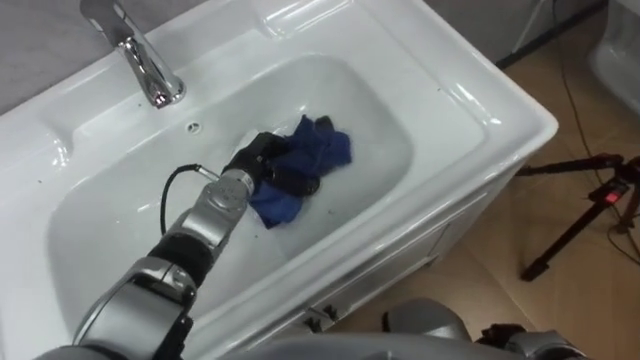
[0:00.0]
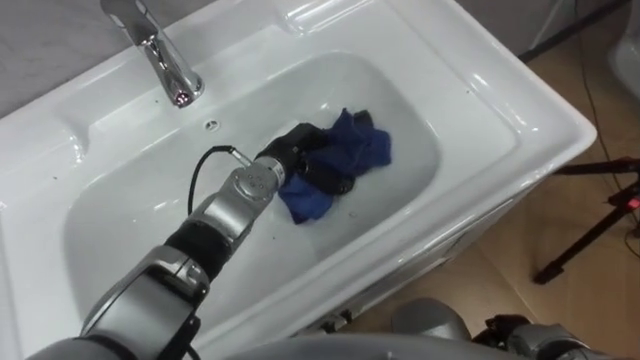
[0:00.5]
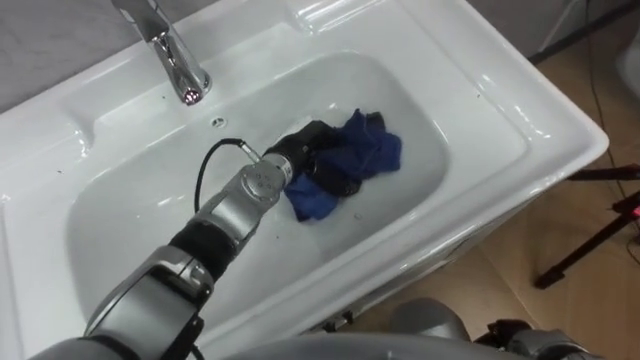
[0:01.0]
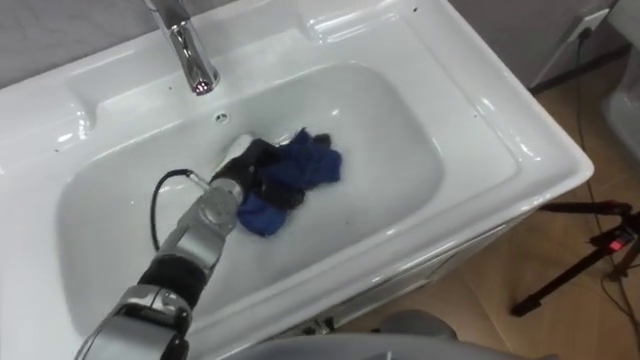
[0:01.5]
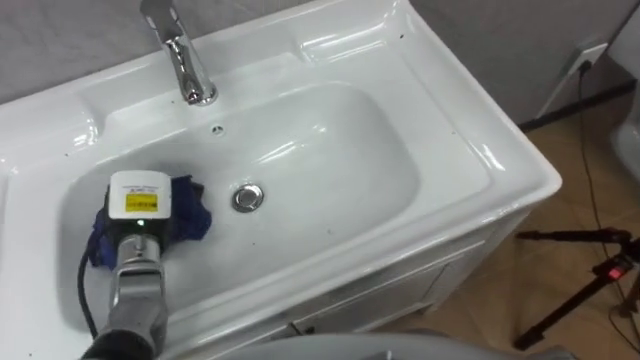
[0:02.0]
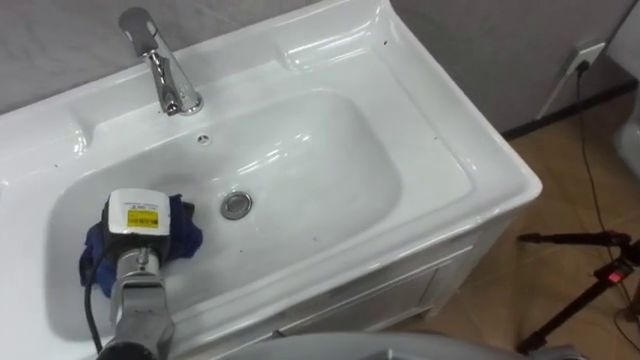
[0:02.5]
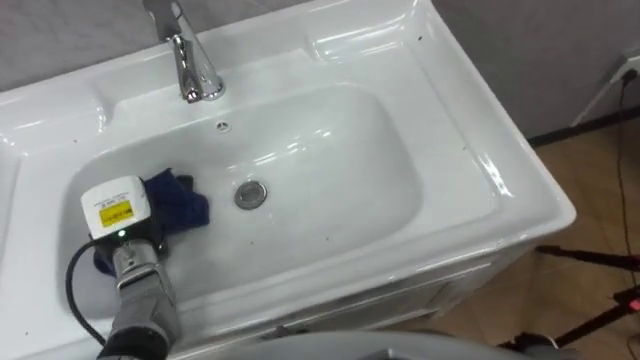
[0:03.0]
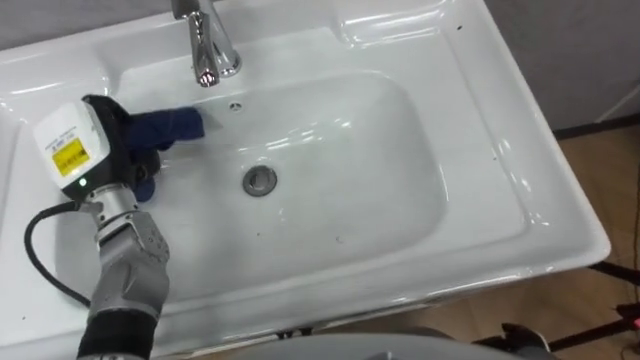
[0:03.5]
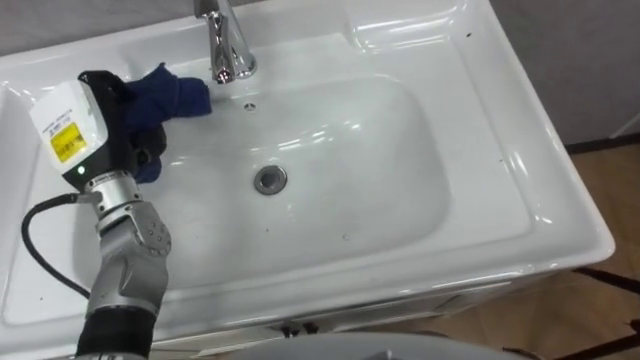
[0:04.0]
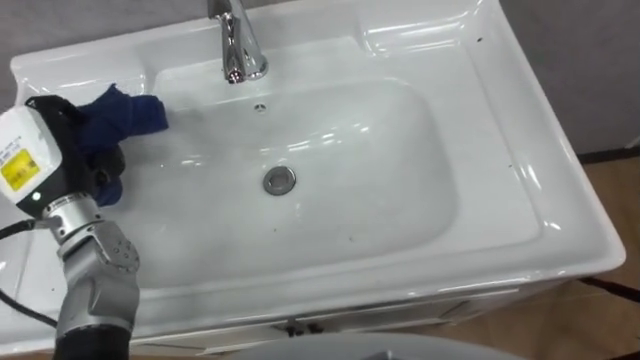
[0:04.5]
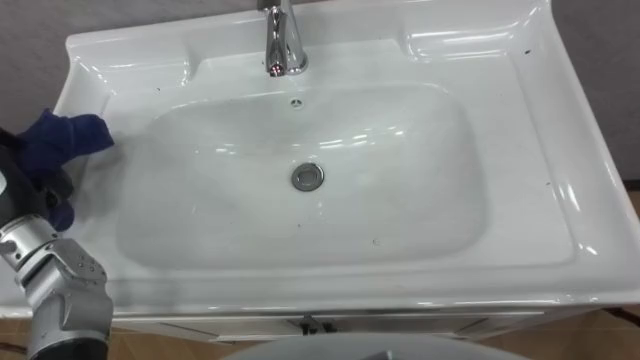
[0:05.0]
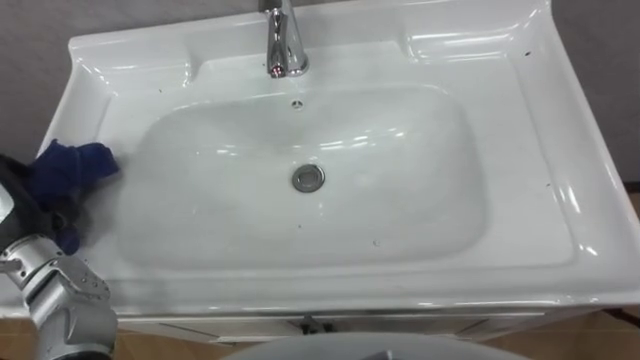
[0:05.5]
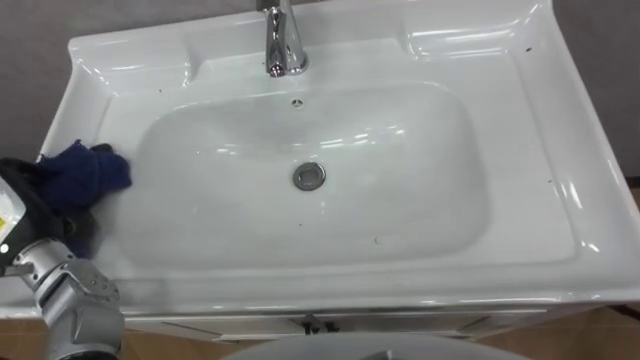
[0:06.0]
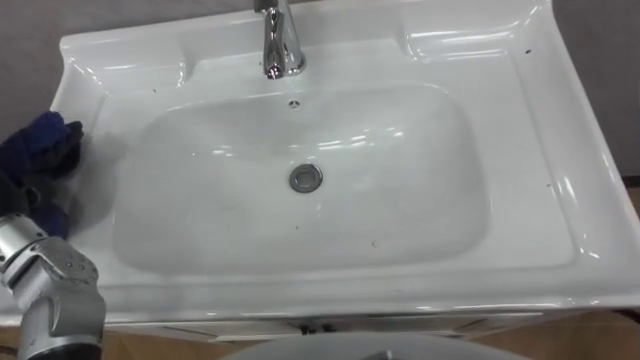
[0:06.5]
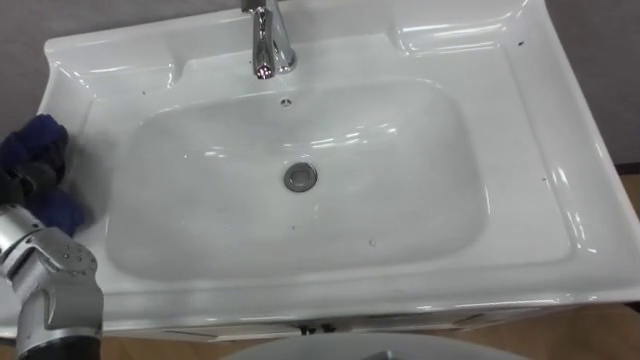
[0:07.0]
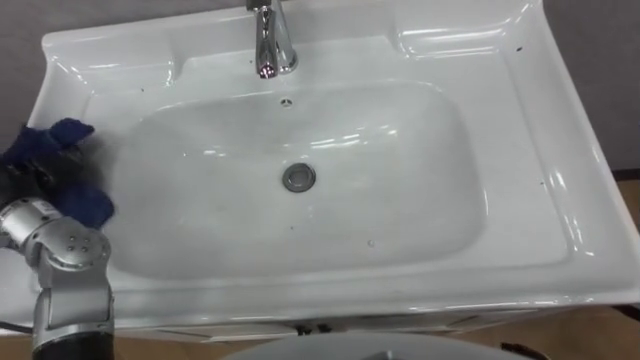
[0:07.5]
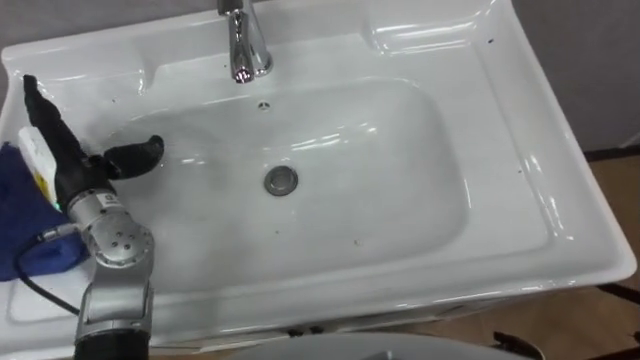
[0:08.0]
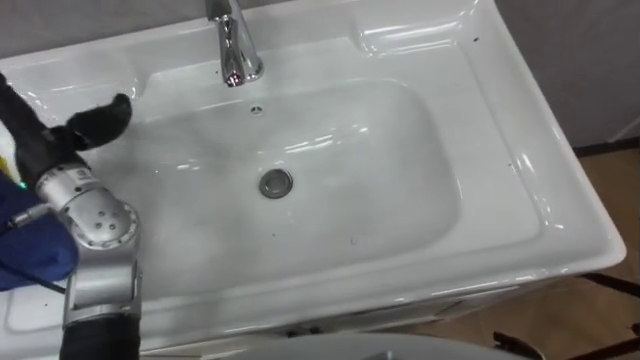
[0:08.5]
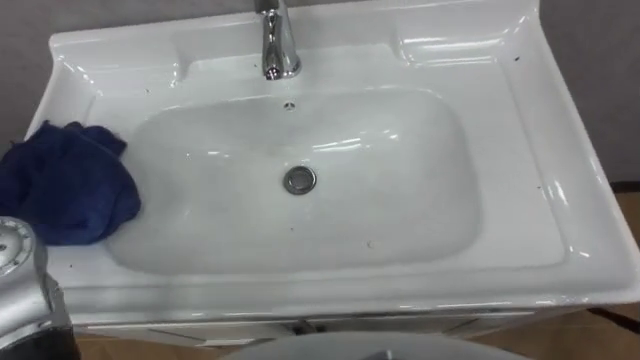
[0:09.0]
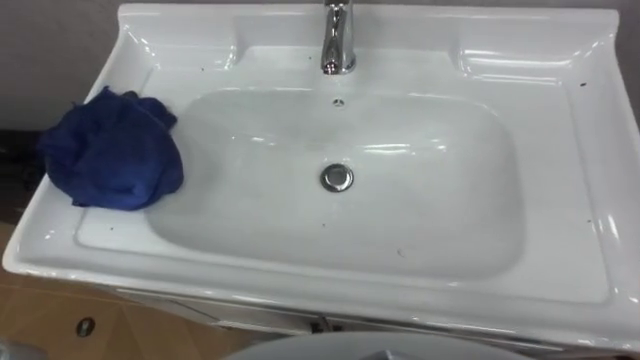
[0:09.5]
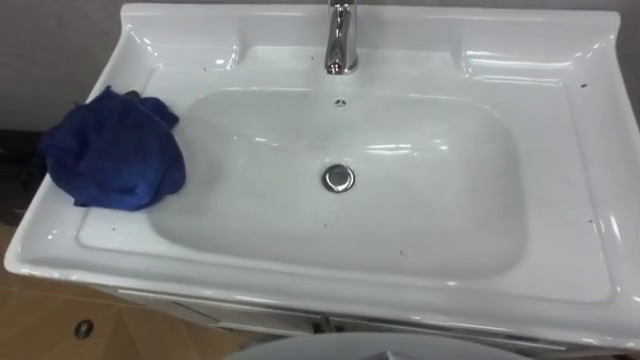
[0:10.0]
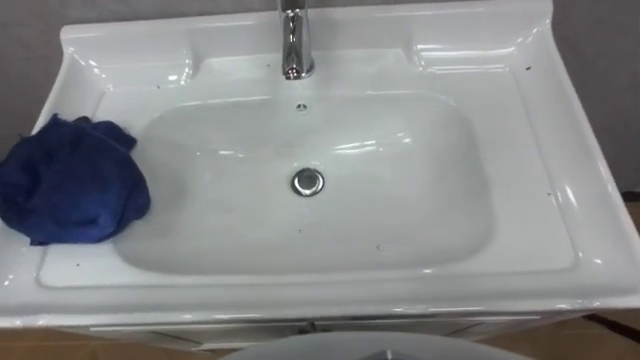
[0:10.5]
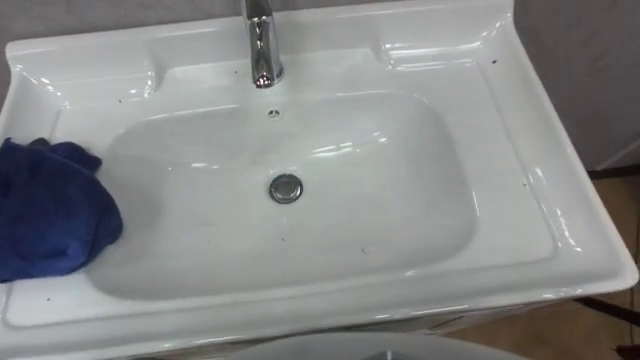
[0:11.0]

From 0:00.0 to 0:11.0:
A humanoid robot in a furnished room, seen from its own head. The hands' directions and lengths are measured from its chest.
Task of the whole recording: Use the cloth on the right to wipe away the black stain in the sink.
From 0:00.0 to 0:02.0: The left hand travels to the left and backward by some 20 cm.
From 0:02.0 to 0:03.5: The left hand shifts some 10 cm upward.

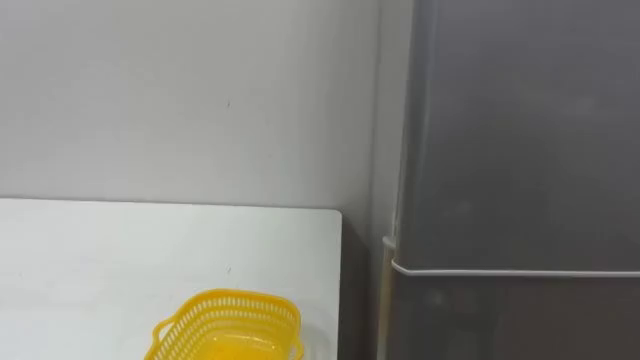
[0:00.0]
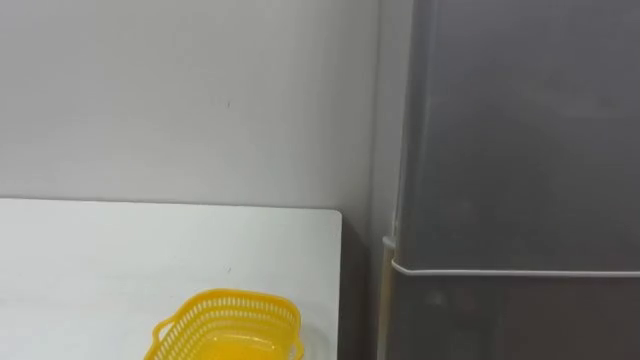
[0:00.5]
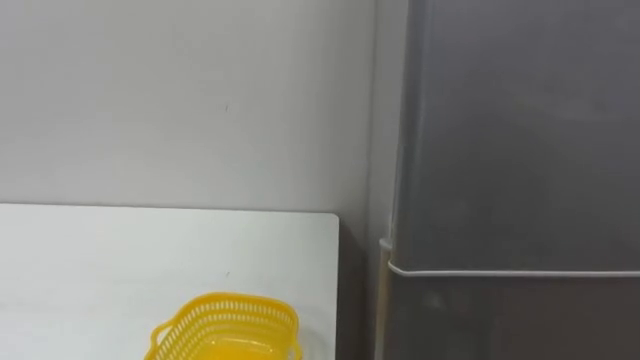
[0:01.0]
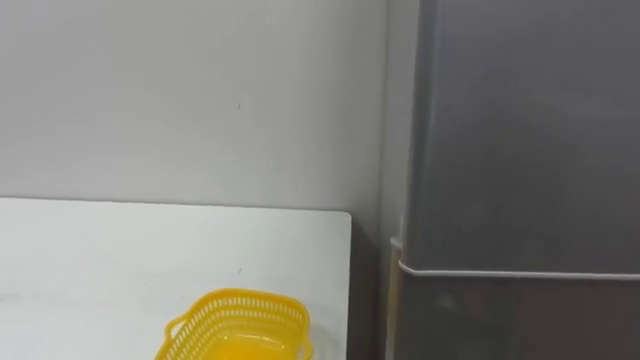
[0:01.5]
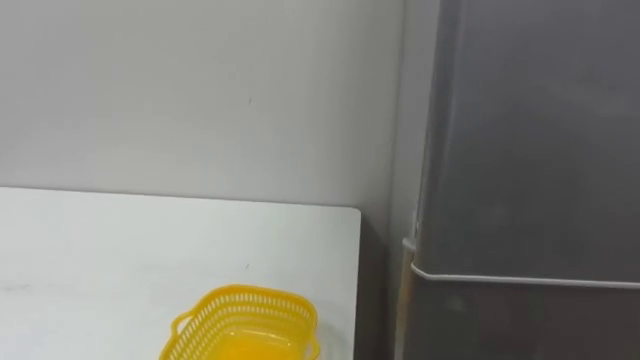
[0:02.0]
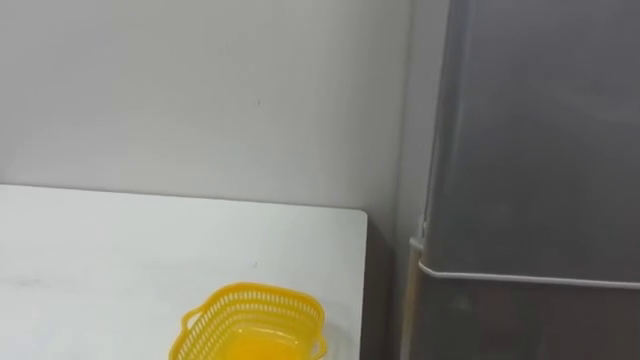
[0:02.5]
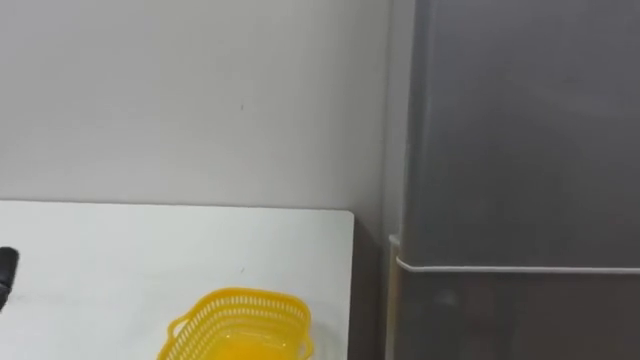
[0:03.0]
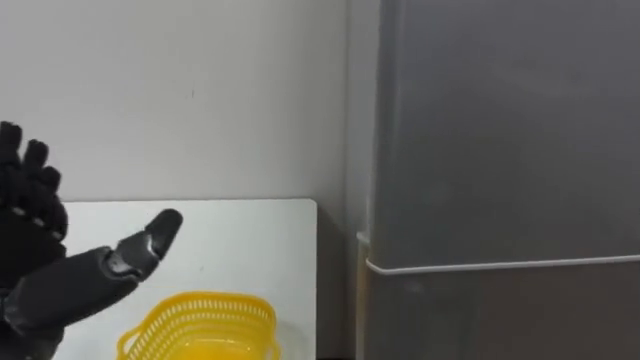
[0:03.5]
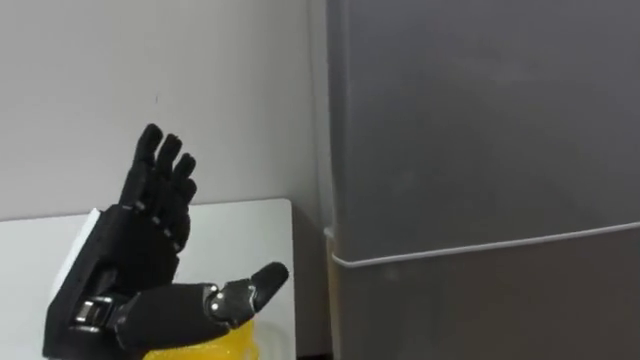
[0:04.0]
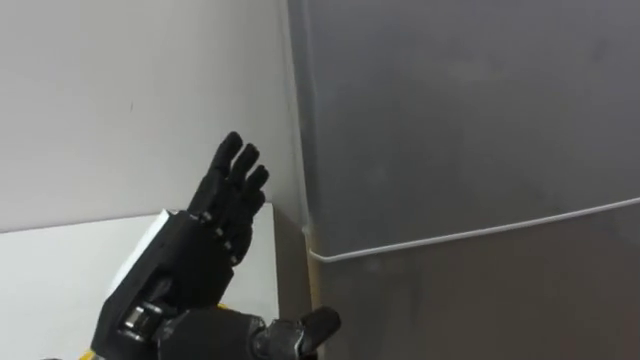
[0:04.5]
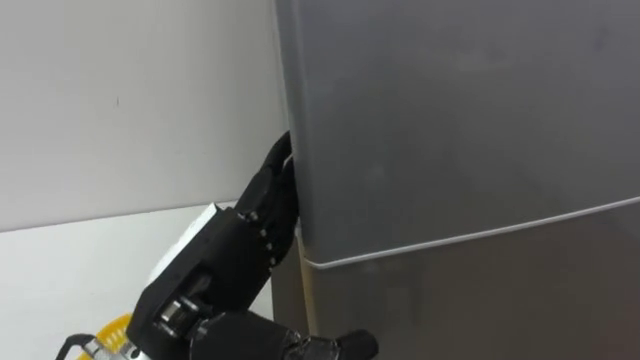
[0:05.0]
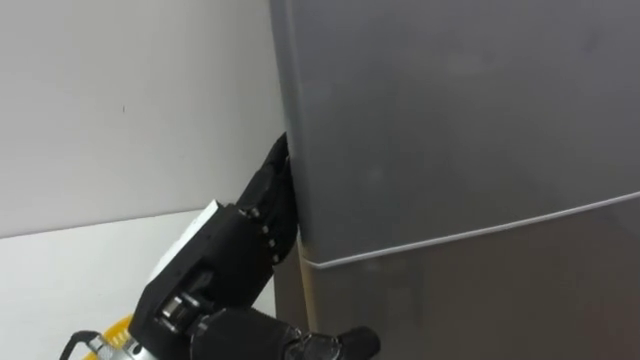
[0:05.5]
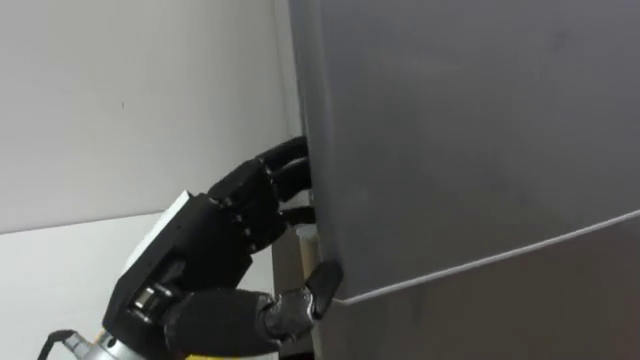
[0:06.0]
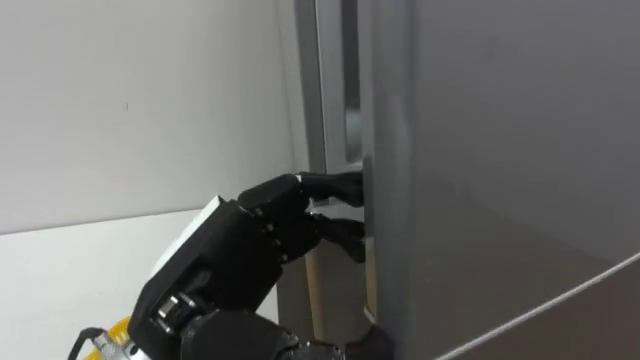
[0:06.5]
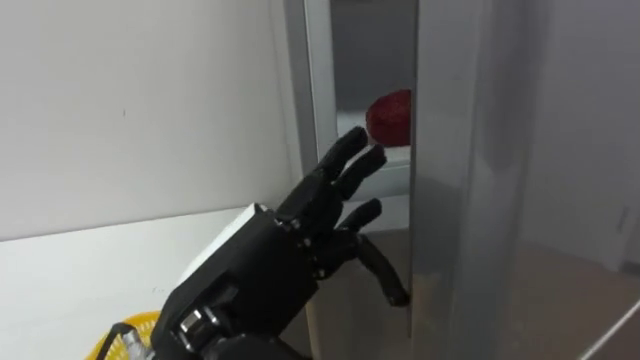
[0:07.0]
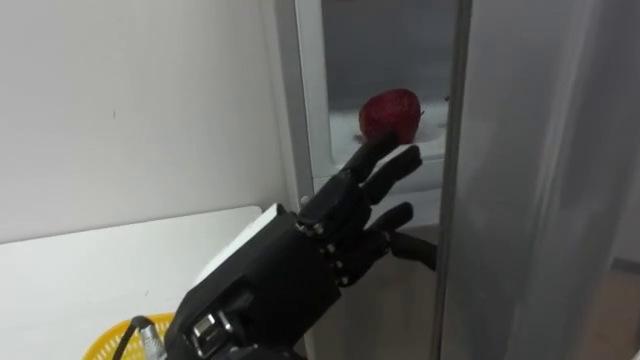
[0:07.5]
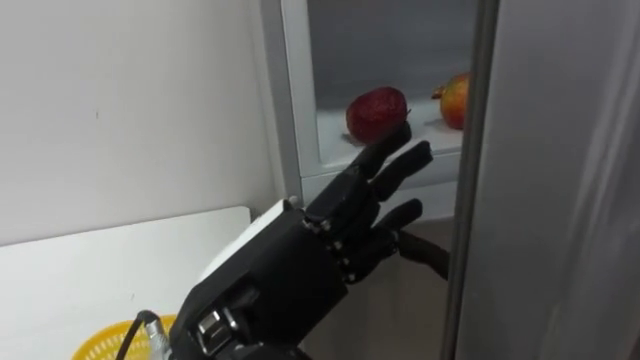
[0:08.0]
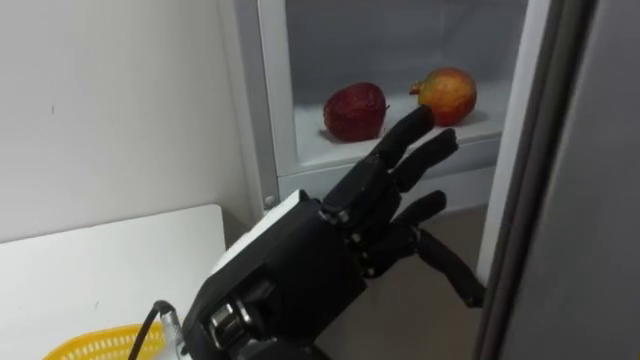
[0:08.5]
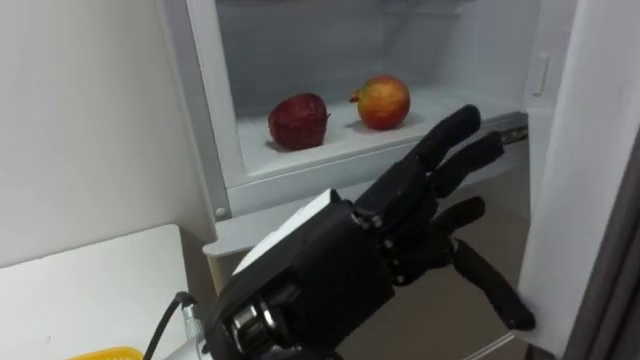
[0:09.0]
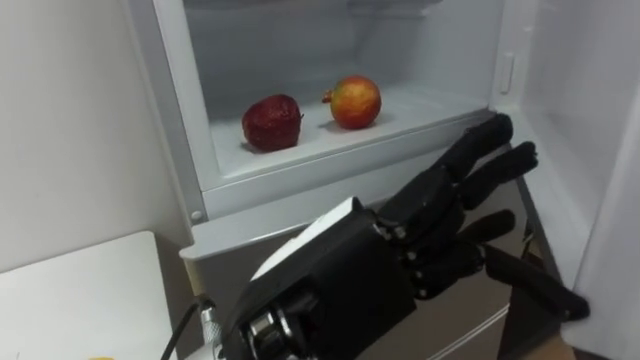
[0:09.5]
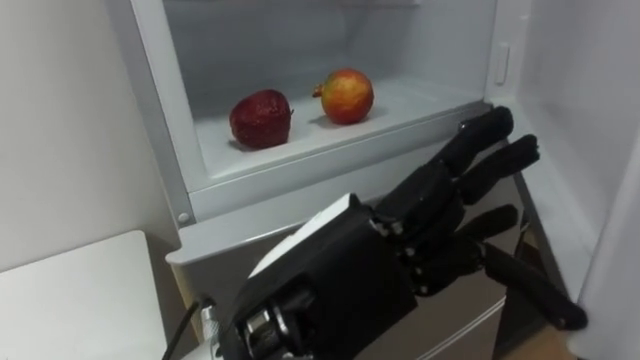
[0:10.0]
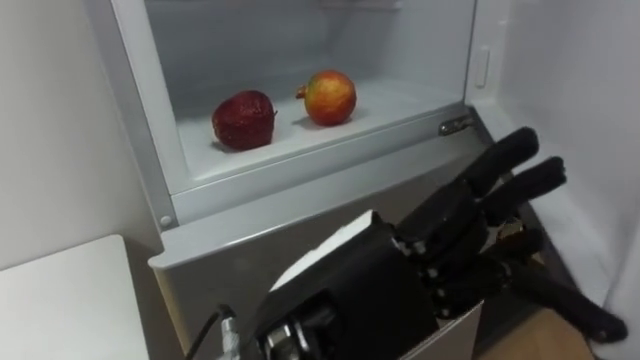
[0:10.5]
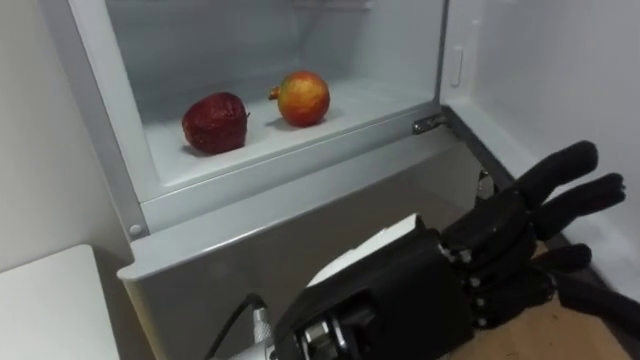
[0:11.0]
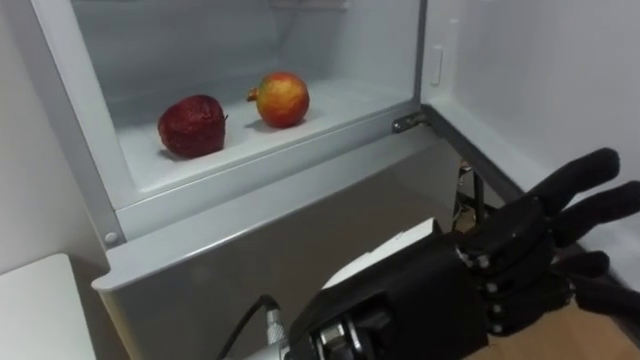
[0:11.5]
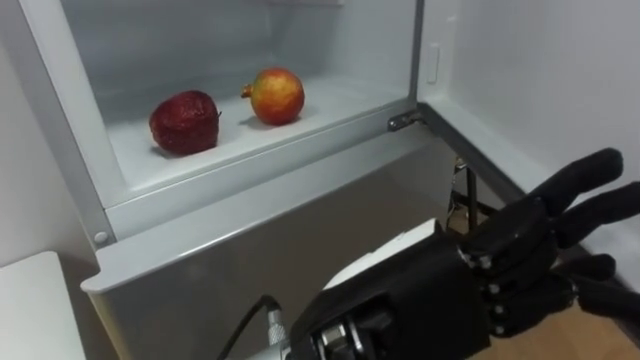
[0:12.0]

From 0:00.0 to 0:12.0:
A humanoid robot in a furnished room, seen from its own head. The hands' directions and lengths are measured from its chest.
Task of the whole recording: Open the refrigerator door, take out the apple and the pomegranate, place them in the fruit basket on the left, and close the refrigerator door.
From 0:04.0 to 0:06.0: The left hand is displaced to the right by some 5 cm, and closes its fingers.
From 0:06.0 to 0:08.0: The left hand goes some 5 cm to the right, and opens.
